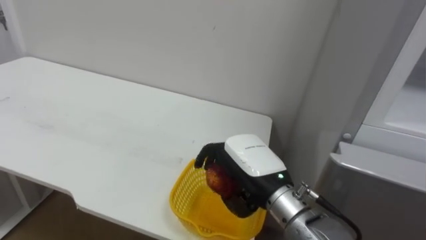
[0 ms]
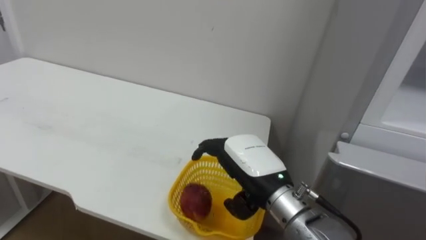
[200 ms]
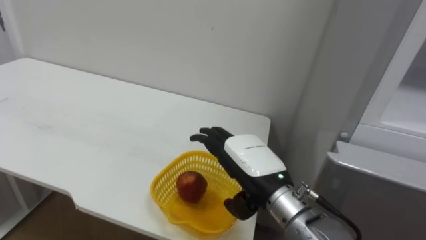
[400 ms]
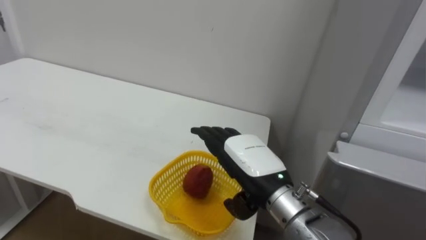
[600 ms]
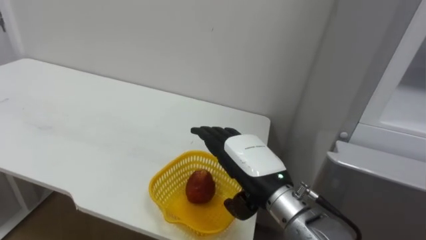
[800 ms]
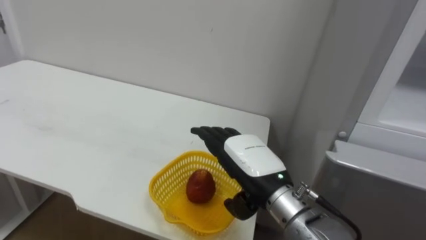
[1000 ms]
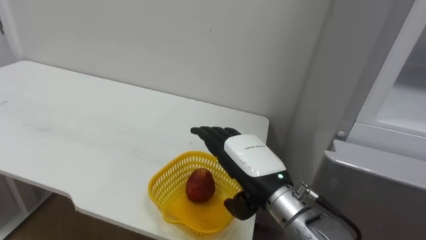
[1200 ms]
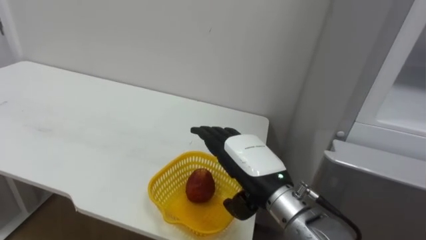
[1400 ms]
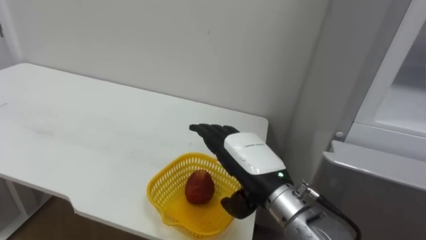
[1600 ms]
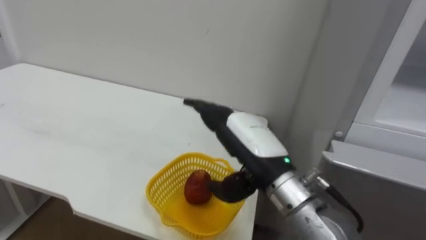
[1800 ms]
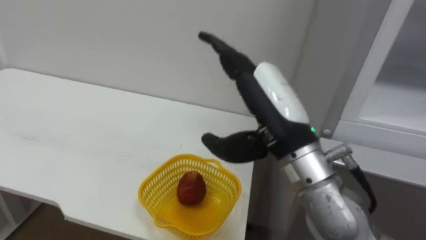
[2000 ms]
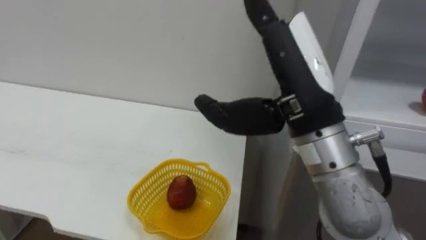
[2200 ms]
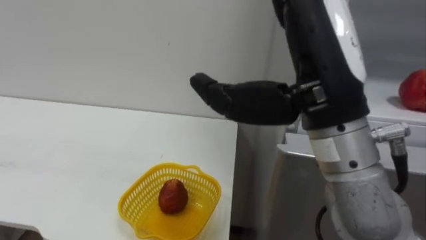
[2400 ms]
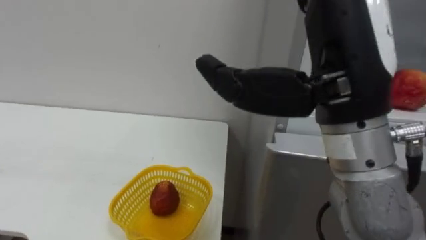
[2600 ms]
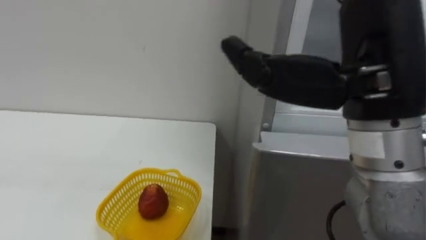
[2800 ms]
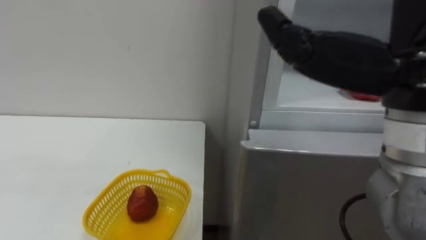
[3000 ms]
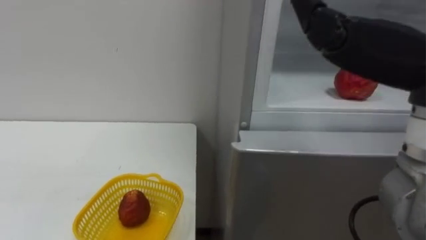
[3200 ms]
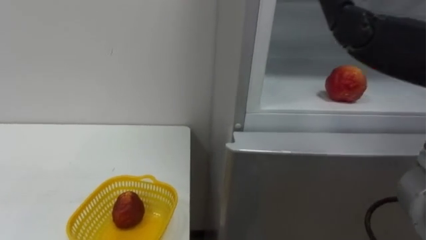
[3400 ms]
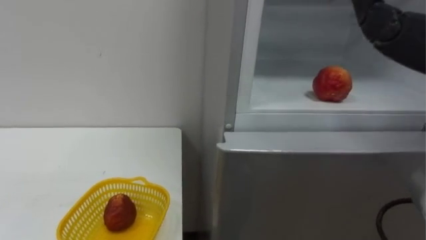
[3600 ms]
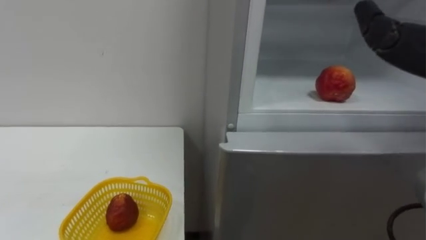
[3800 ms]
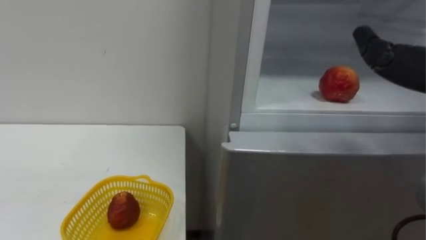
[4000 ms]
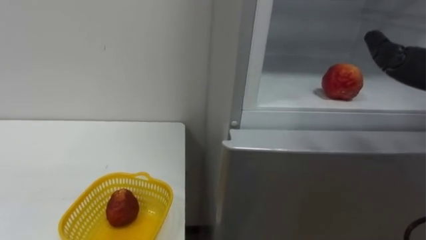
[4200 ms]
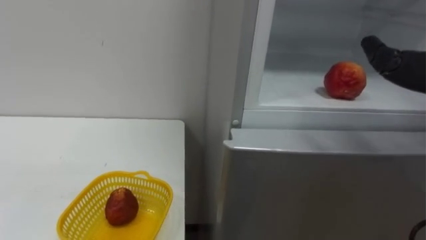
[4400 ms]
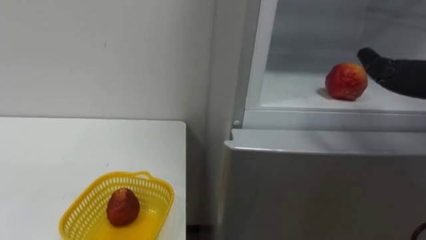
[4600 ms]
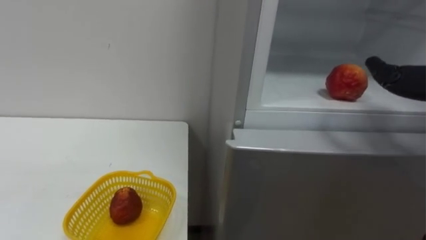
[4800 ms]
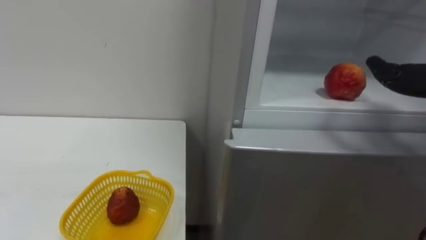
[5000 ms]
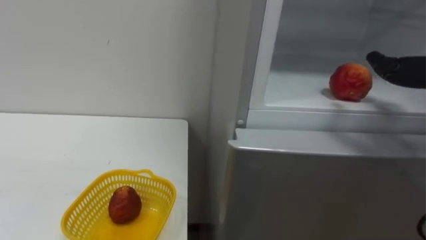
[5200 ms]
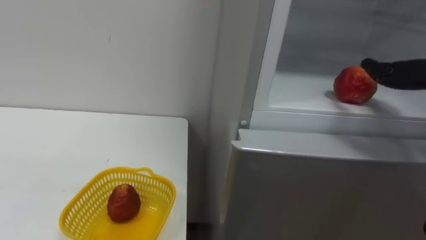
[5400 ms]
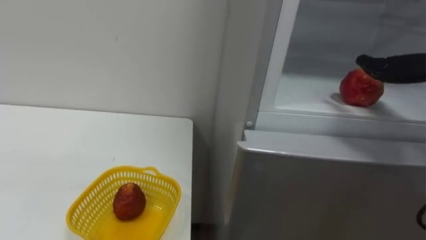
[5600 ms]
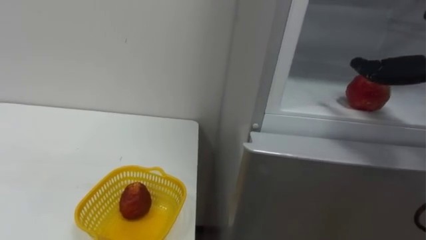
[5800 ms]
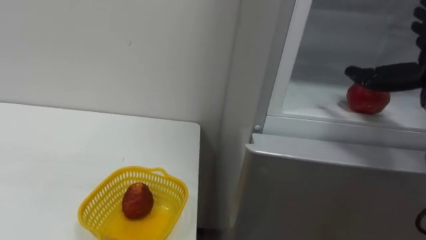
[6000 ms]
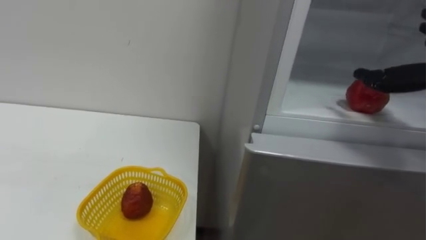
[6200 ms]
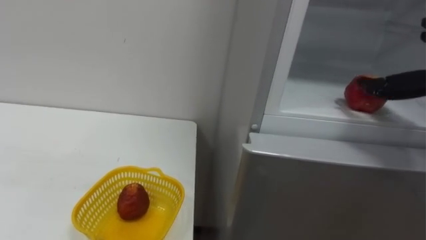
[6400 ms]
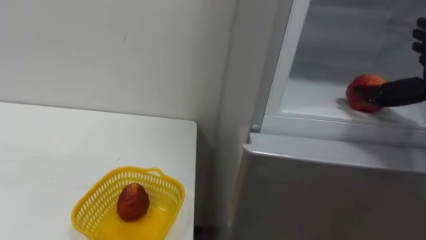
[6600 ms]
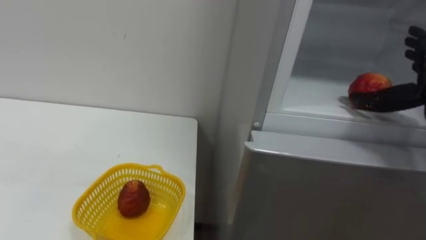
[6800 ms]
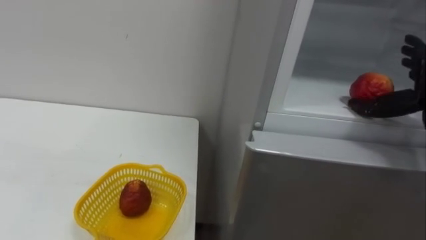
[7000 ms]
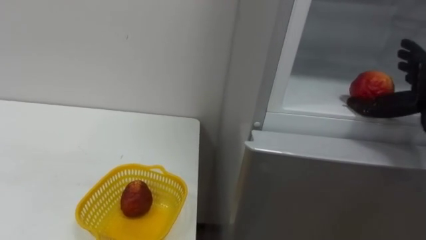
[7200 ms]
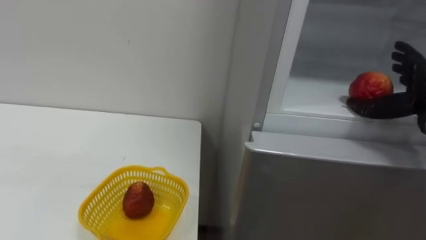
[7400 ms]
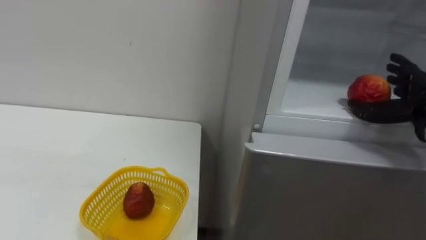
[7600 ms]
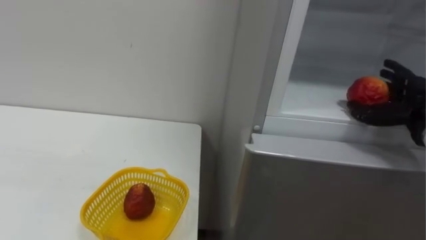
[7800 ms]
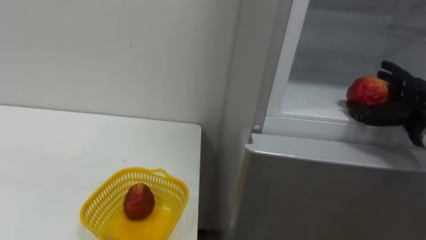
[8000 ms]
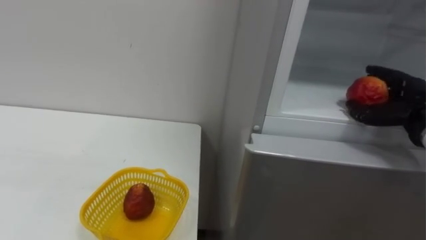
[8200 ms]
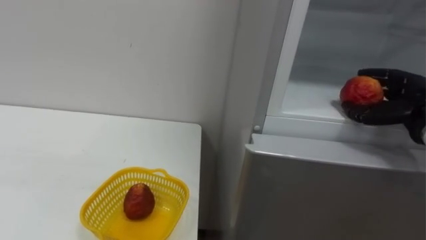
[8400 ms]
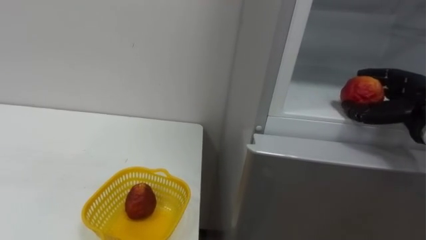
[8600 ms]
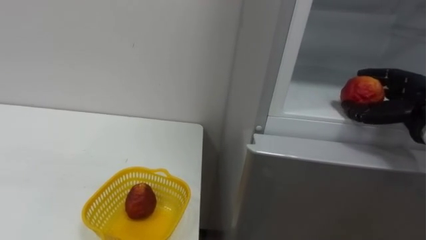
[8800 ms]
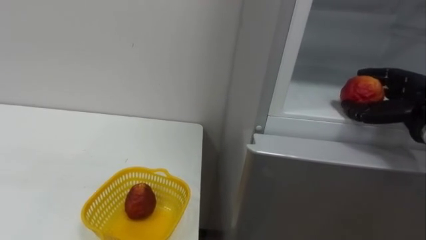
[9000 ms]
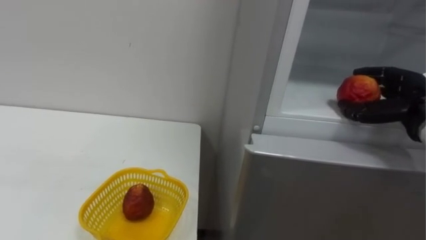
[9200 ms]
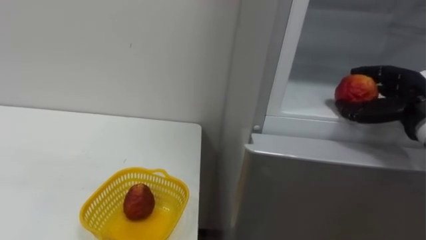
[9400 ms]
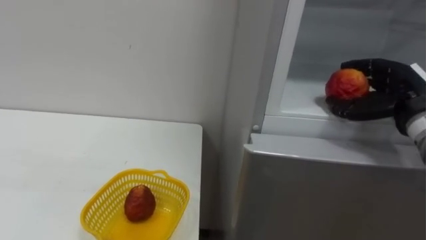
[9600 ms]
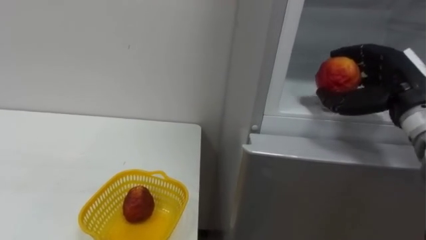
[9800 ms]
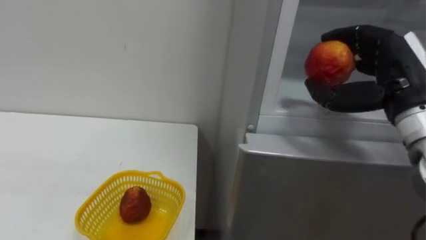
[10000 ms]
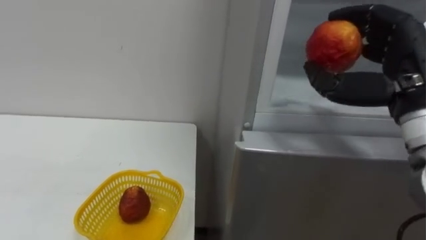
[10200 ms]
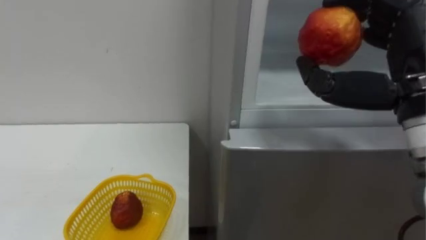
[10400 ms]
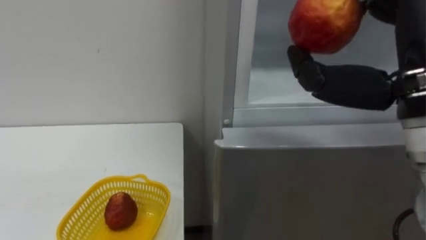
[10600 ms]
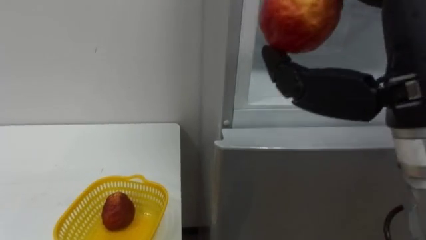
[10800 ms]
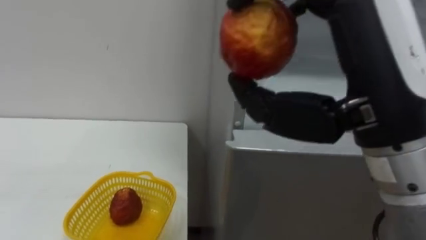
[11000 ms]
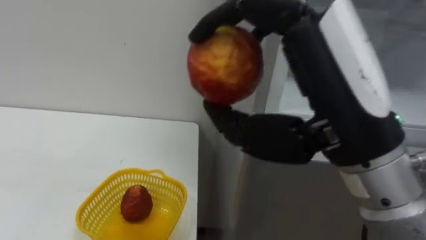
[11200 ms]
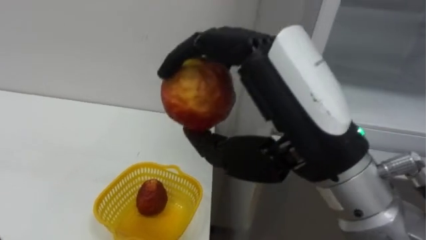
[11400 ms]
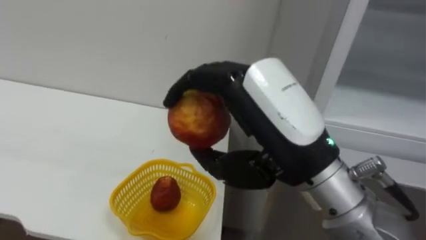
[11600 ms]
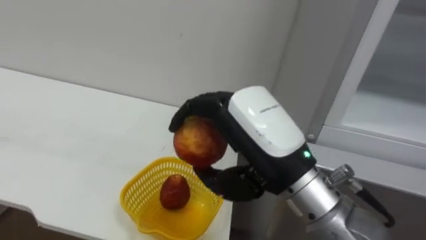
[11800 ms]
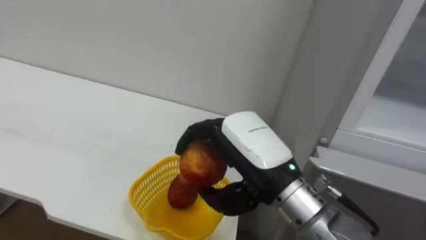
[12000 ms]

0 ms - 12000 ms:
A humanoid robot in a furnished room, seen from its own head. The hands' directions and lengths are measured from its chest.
Task of the whole recording: Open the refrigerator door, take out the apple and the pomegranate, place them in the fruit basket on the left, and close the refrigerator door.
0 ms - 1600 ms: The right hand opens up.
1600 ms - 3000 ms: The right hand heads upward, backward and to the right, covering about 25 cm.
7600 ms - 9000 ms: The right hand closes.
9000 ms - 10400 ms: The right hand moves backward, to the left and upward, some 20 cm.
10400 ms - 12000 ms: The right hand travels to the left and downward by about 20 cm.

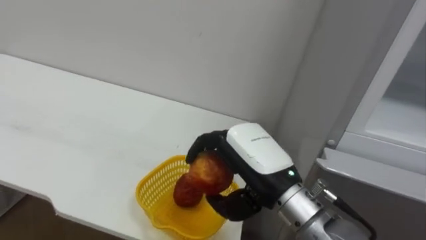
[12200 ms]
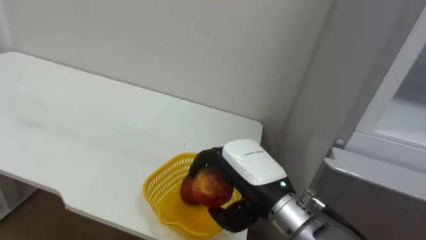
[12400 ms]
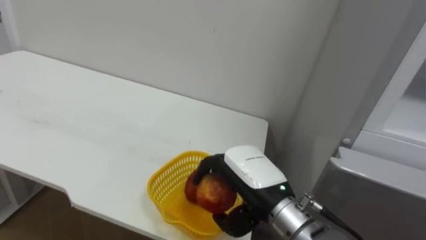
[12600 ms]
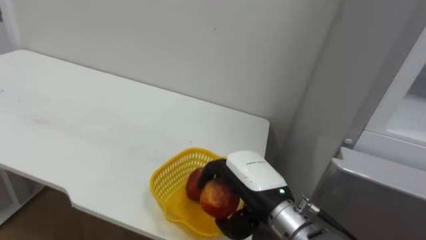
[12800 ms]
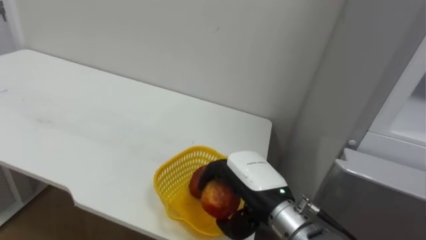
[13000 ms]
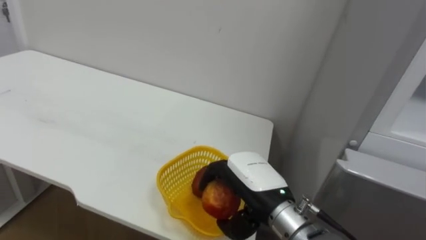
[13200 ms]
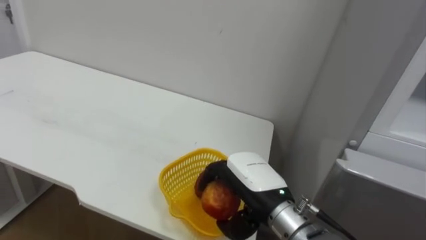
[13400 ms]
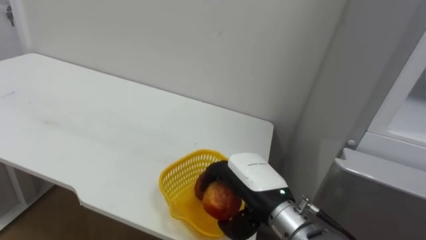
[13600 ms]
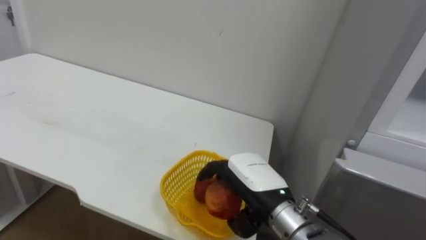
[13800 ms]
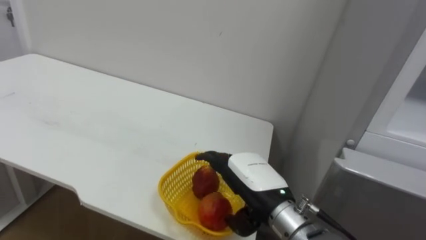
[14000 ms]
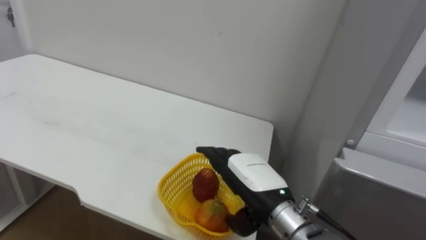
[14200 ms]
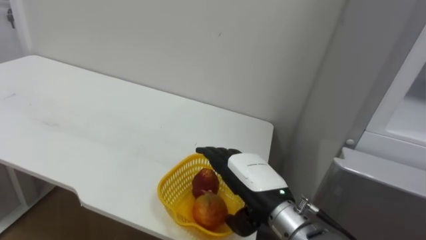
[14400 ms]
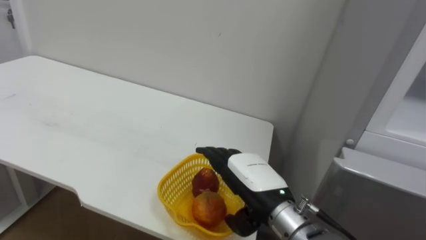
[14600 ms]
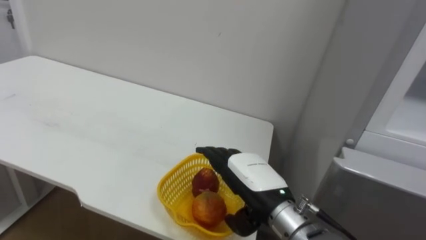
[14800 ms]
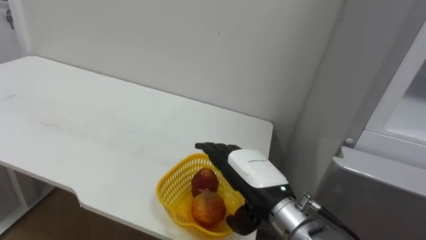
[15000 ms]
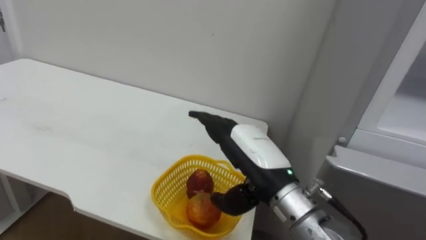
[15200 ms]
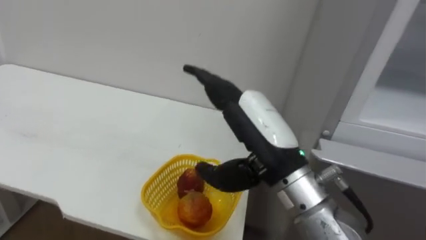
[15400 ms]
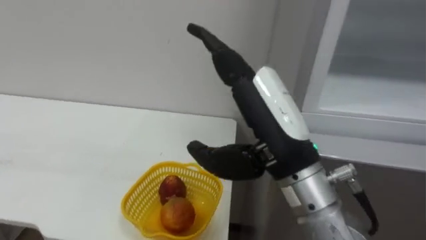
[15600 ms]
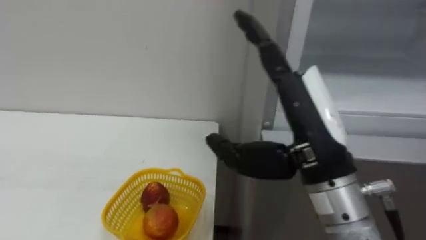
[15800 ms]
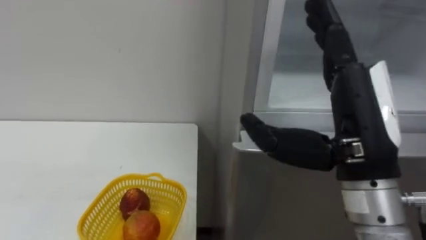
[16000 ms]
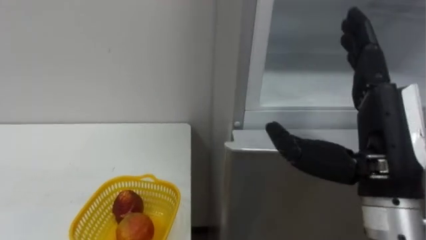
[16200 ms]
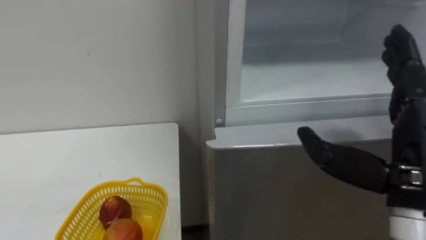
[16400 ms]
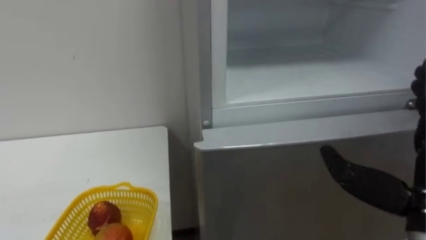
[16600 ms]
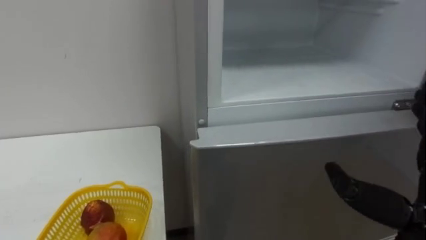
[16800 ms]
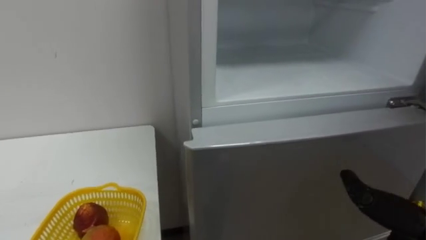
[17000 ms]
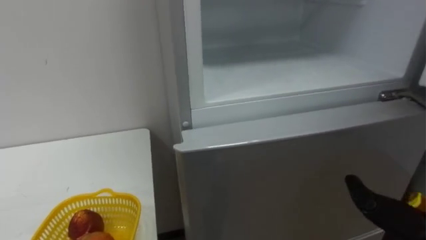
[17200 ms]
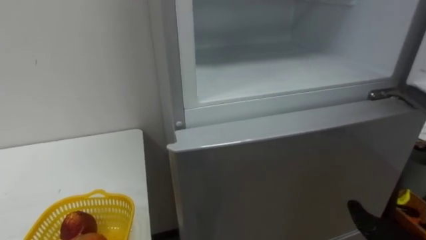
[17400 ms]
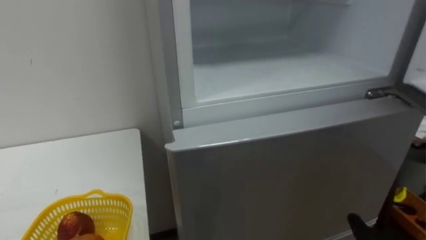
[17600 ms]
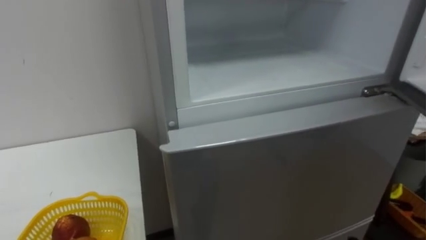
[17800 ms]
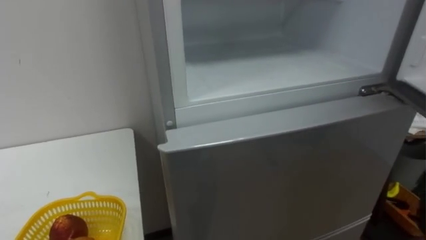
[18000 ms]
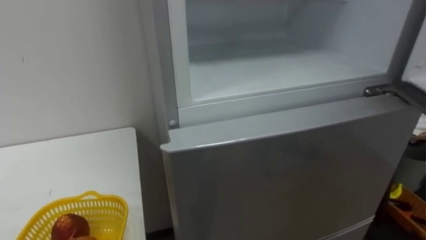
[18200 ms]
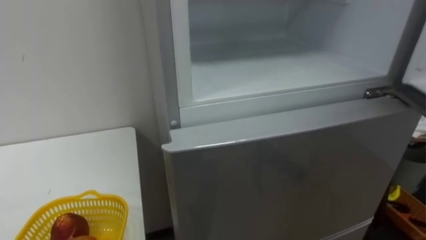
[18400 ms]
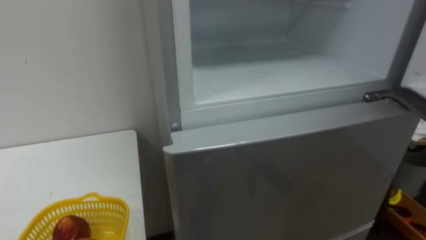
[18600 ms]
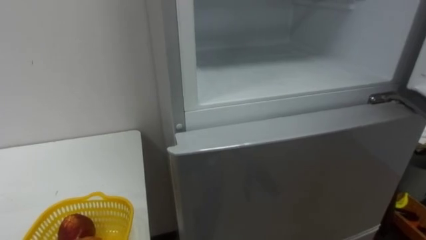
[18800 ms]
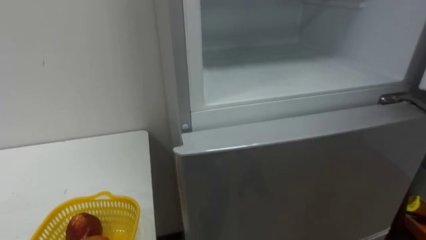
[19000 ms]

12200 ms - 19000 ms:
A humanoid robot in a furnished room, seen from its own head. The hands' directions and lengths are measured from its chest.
Task of the whole recording: Open the refrigerator door, take out the apple and the pomegranate, place them in the fruit basket on the left, and close the refrigerator door.
12200 ms - 13600 ms: The right hand heads downward, covering roughly 5 cm.
13600 ms - 15000 ms: The right hand opens.
15000 ms - 16200 ms: The right hand moves upward, to the right and backward, approximately 20 cm.
